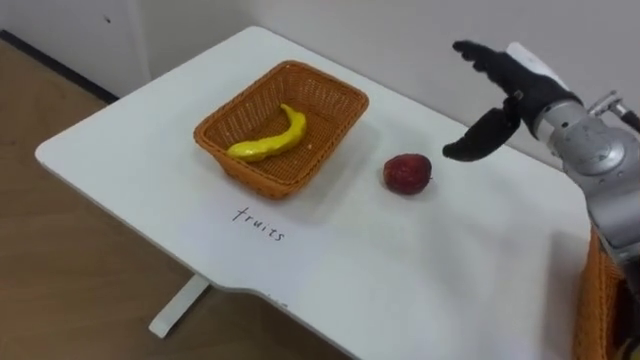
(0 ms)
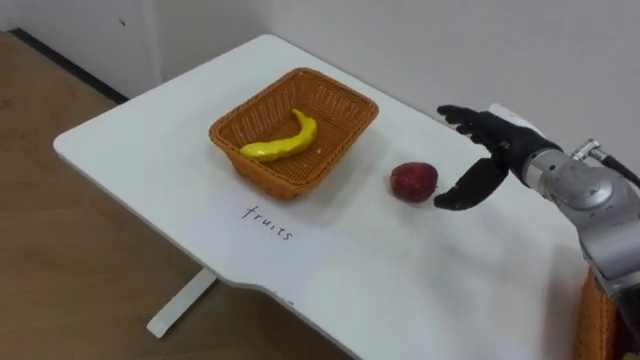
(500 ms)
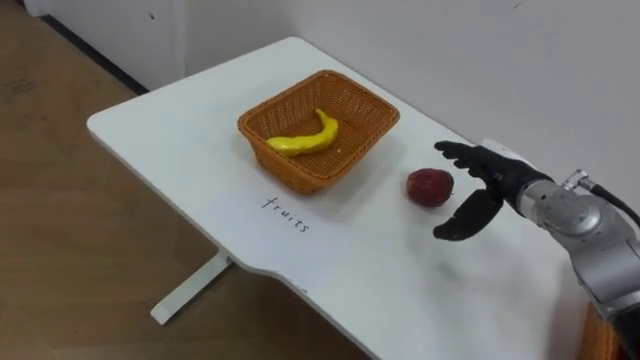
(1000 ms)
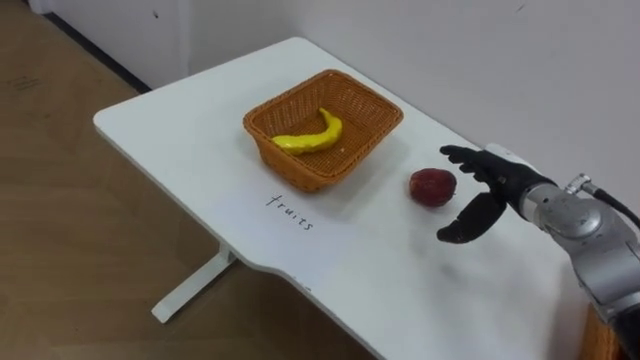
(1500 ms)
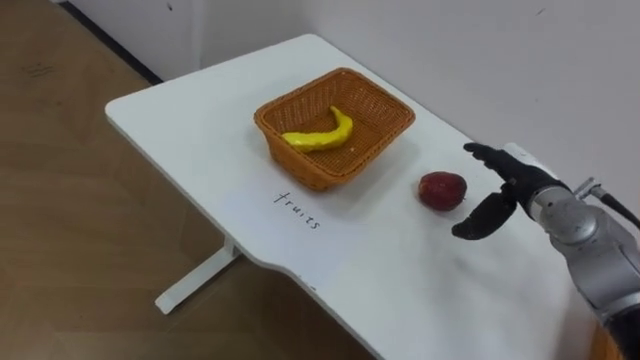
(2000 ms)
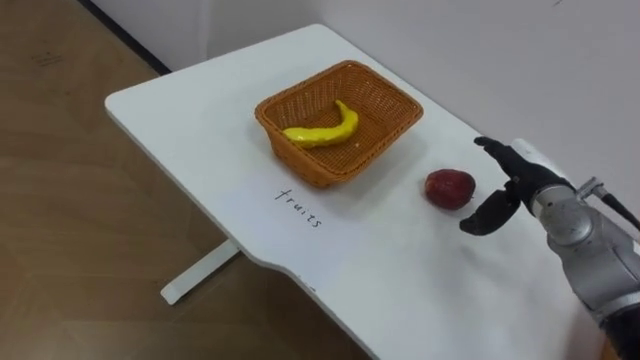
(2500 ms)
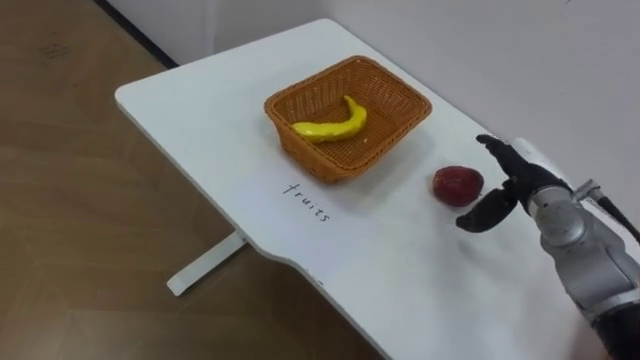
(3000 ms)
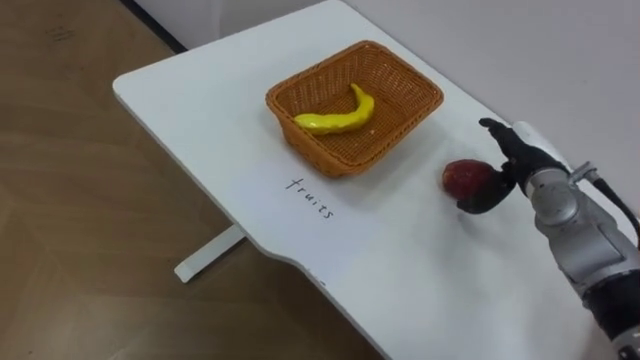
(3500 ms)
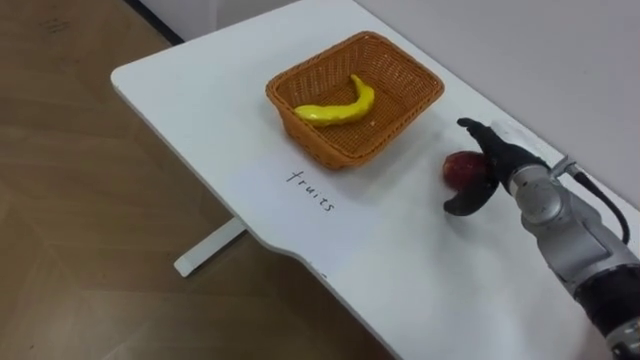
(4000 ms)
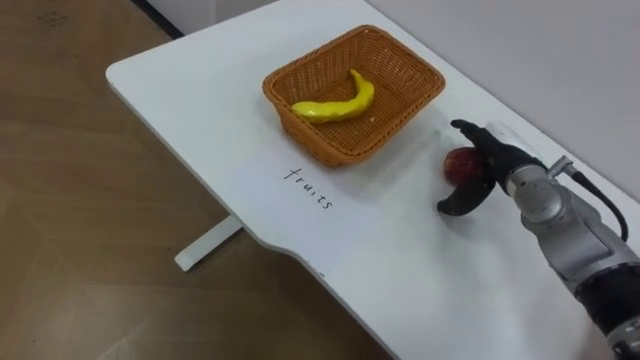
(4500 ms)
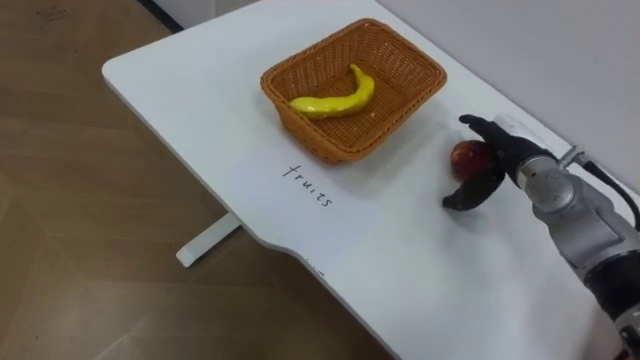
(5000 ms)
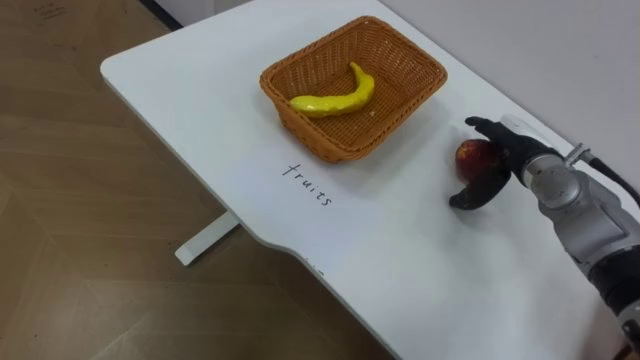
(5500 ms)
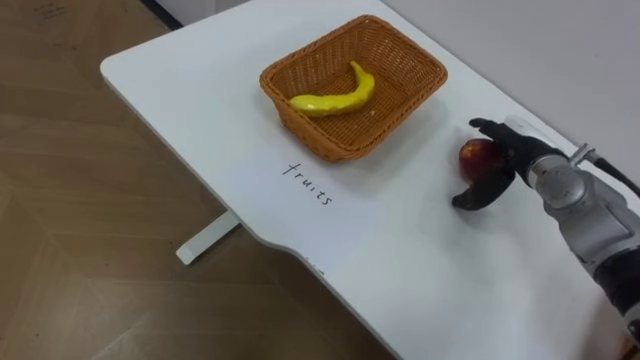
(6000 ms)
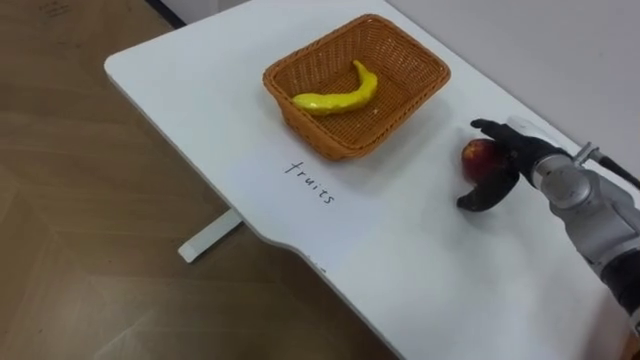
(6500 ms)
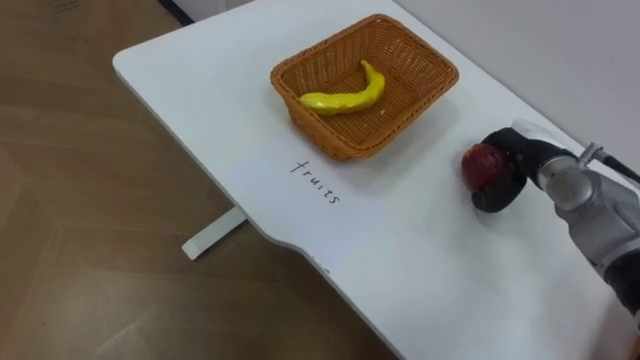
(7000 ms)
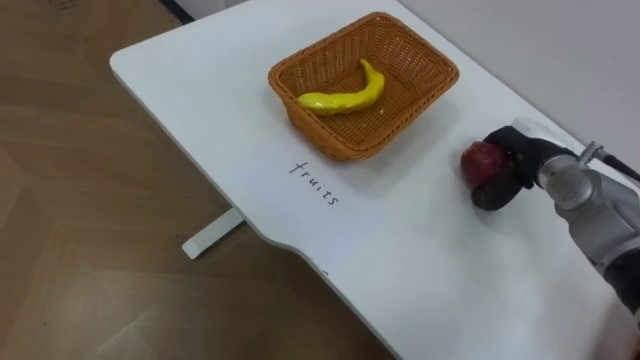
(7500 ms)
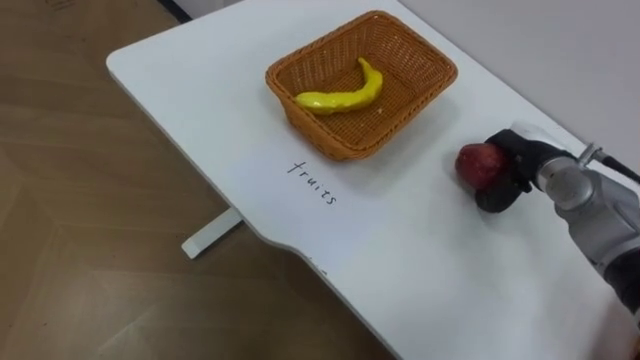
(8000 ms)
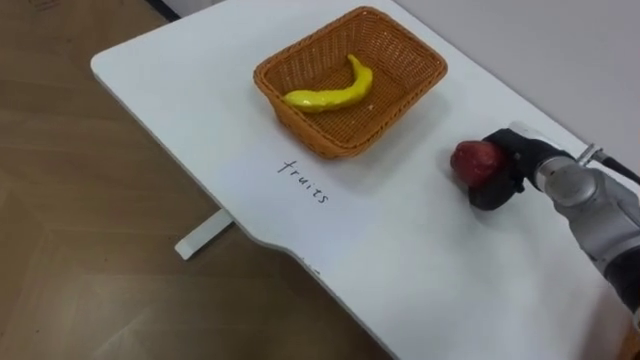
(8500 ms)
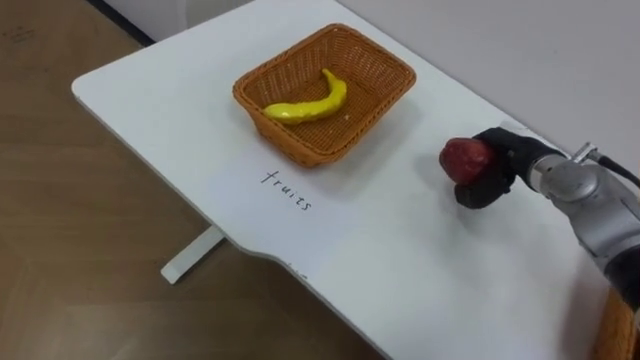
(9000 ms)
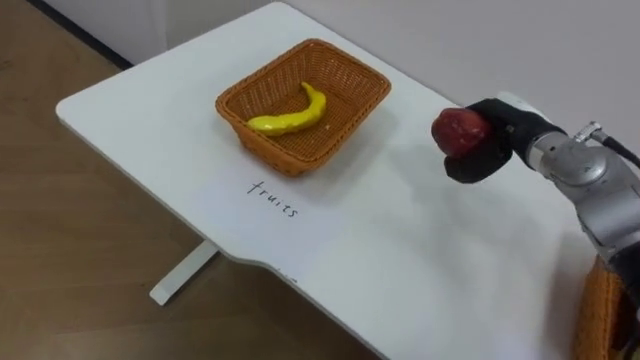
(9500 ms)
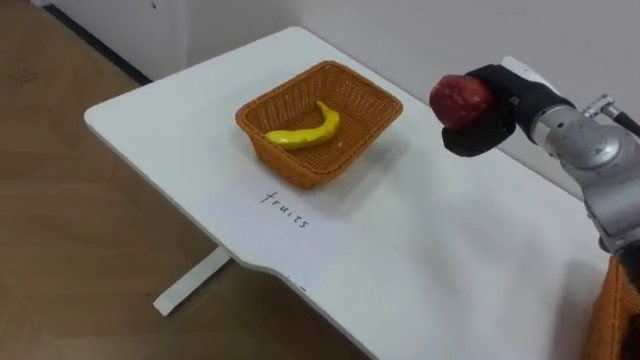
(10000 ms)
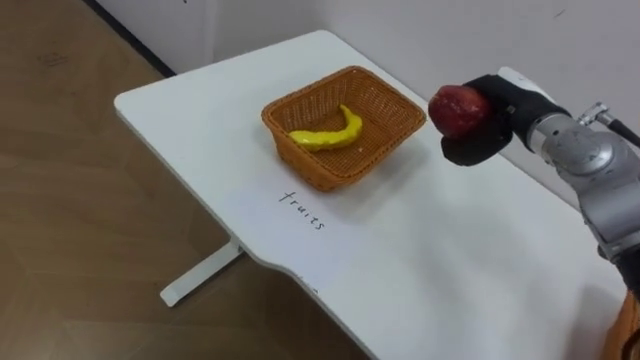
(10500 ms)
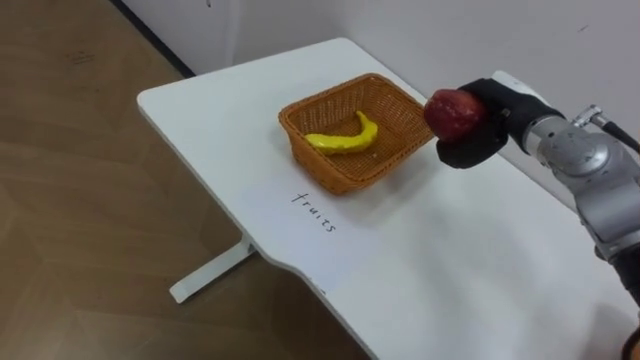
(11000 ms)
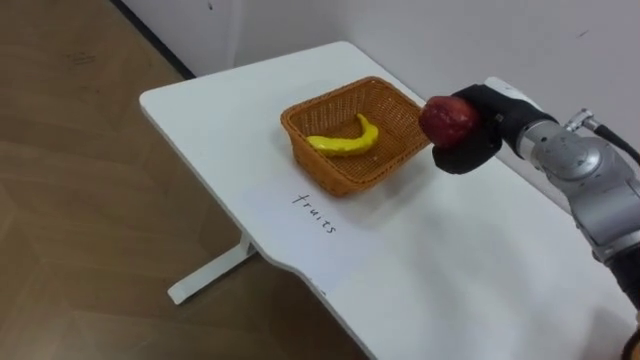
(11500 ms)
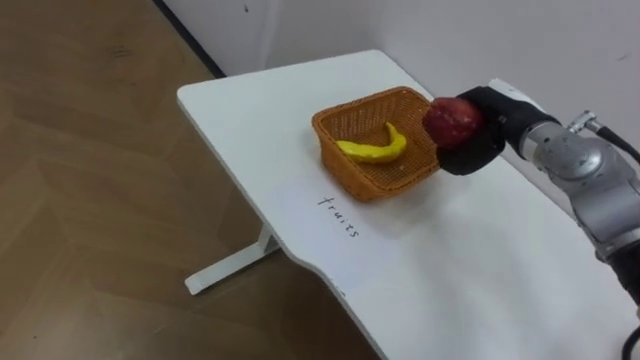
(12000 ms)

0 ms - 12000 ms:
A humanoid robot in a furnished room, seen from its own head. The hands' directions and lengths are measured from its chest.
Task of the whole recording: Separate the items on the table and place them into the two baskets.
0 ms - 2000 ms: The right hand is displaced downward by roughly 10 cm.
6000 ms - 8000 ms: The right hand closes its fingers.
8000 ms - 10000 ms: The right hand goes about 10 cm upward.

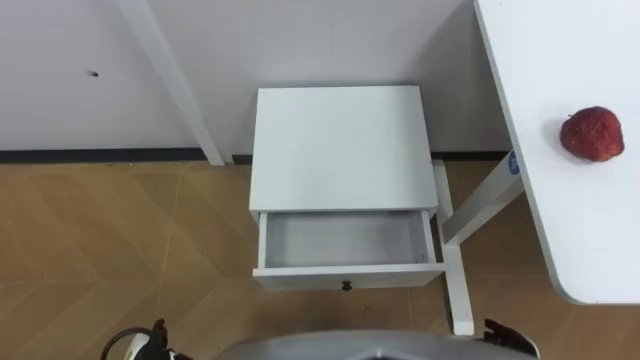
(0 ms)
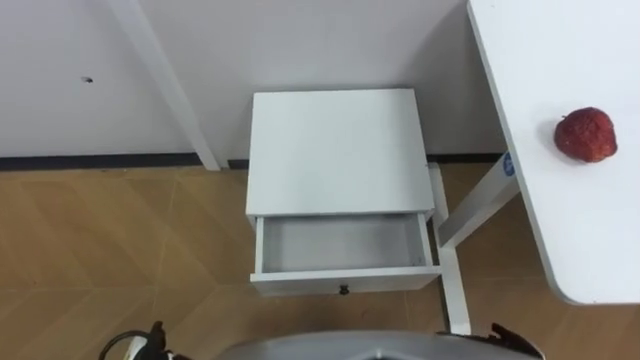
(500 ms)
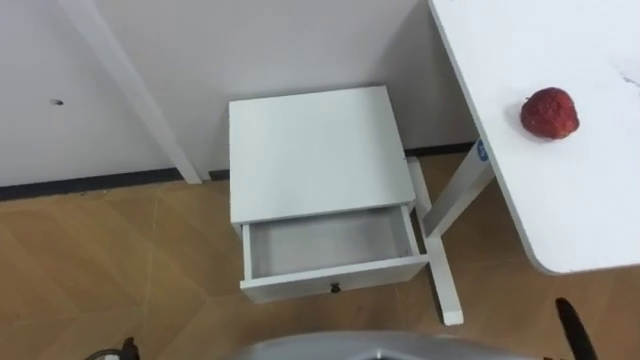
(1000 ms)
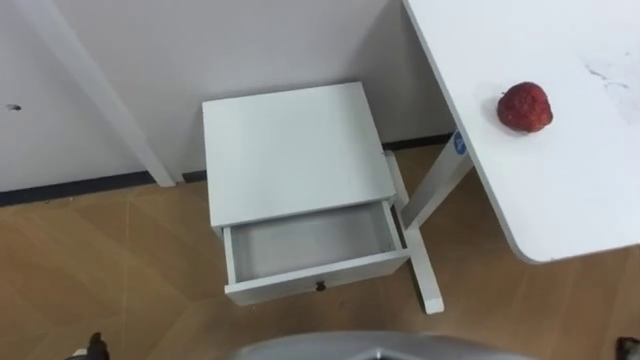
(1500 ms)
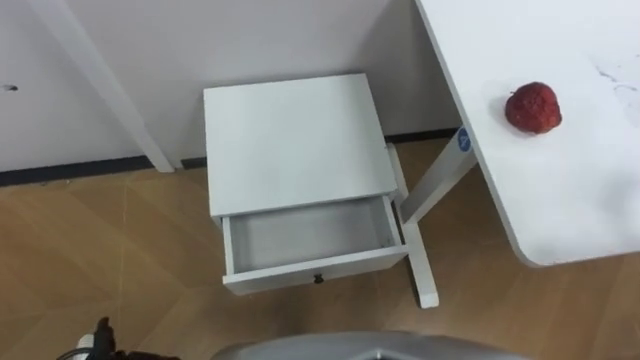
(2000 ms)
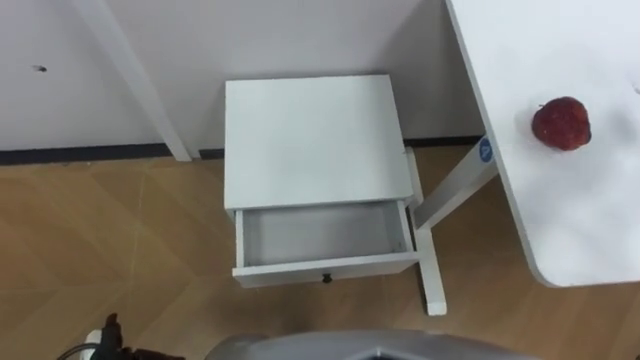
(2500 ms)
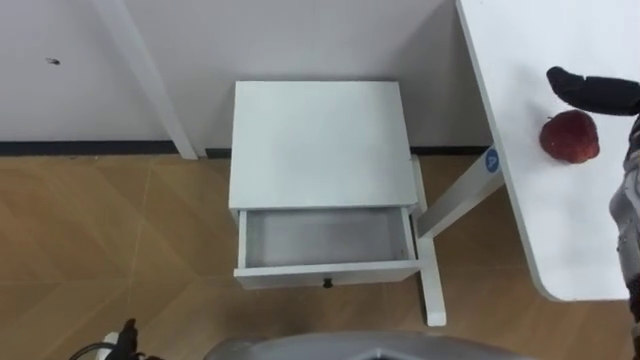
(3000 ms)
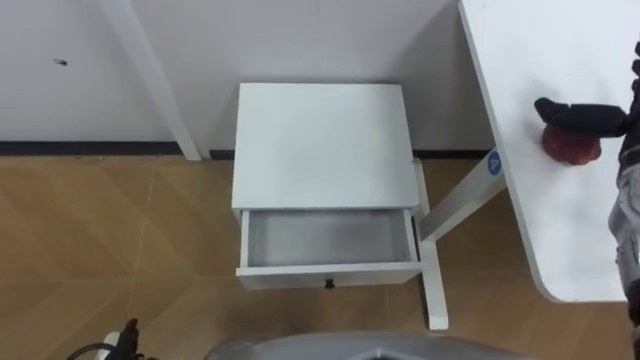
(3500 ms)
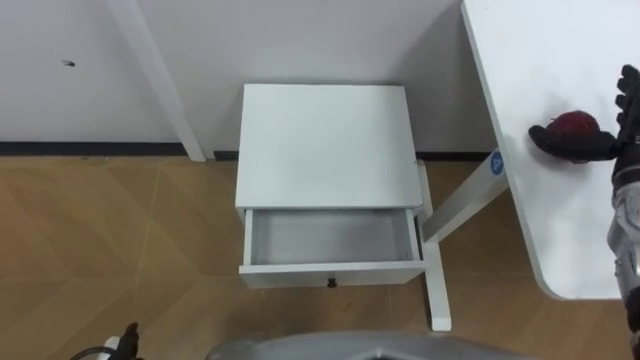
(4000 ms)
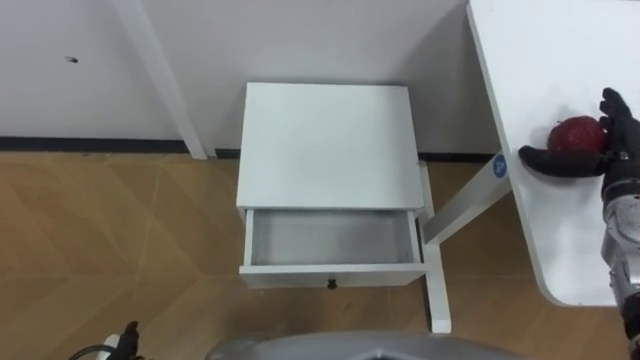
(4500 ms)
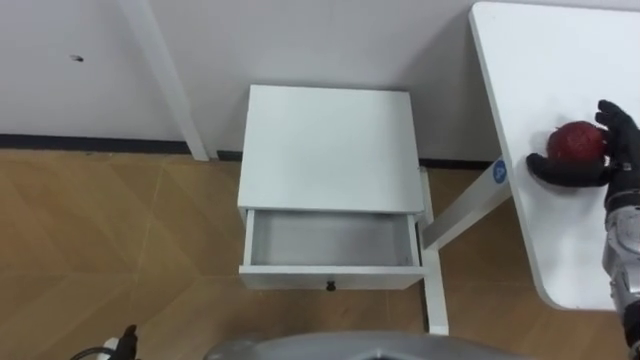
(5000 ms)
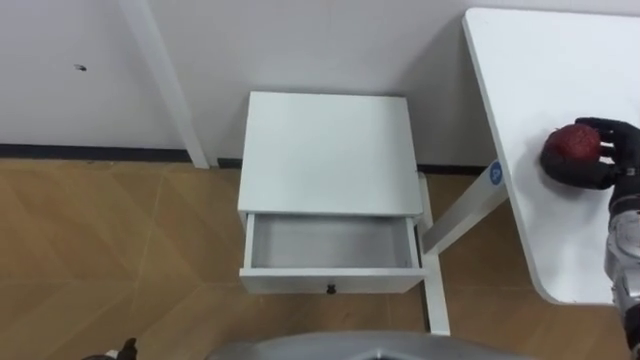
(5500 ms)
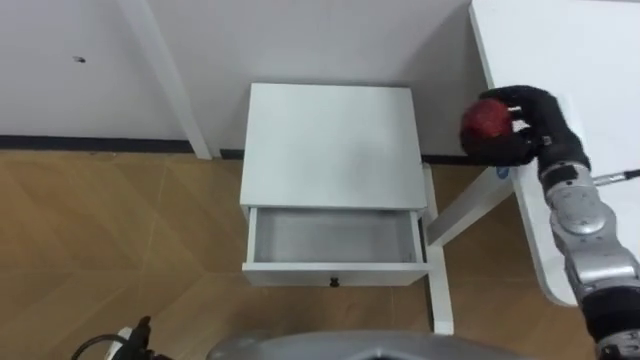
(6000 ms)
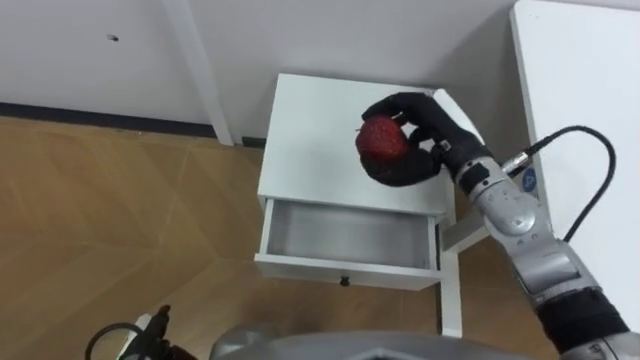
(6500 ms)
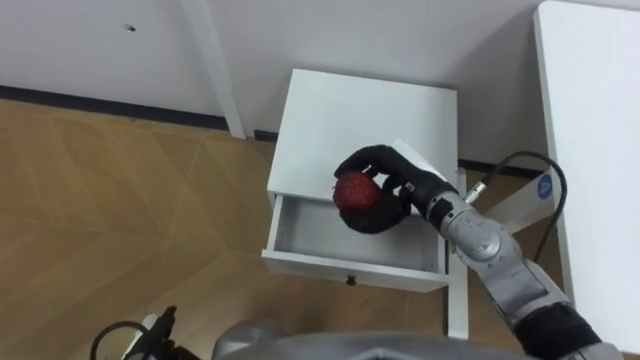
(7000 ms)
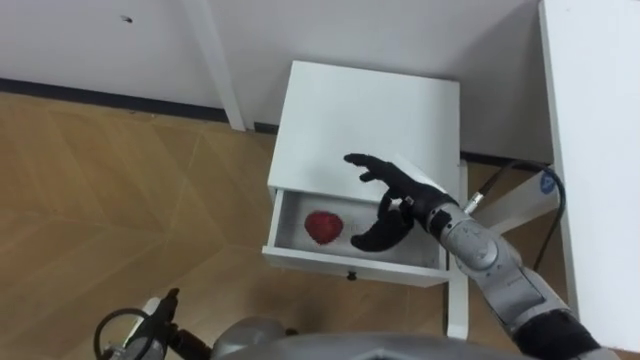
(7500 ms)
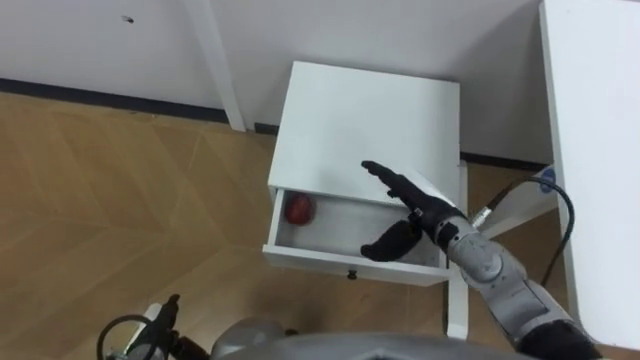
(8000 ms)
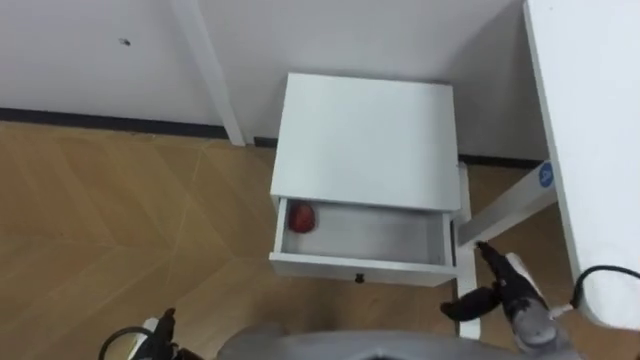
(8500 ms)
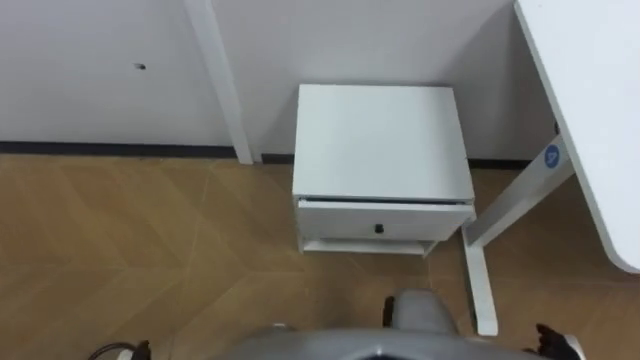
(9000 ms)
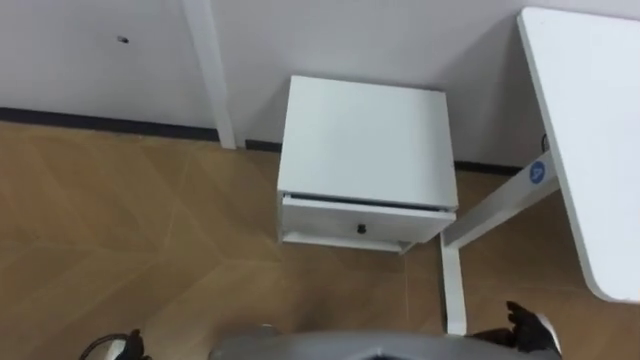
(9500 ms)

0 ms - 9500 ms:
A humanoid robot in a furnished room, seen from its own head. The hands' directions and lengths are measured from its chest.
Task of the whole recording: Pick up the apple from the table, put it in the drawer, and close the drawer with leg.
4000 ms - 5500 ms: The right hand closes its fingers.
5500 ms - 7500 ms: The right hand is displaced to the left by about 25 cm.
7500 ms - 9500 ms: The right hand shifts approximately 30 cm backward, to the right and downward.
